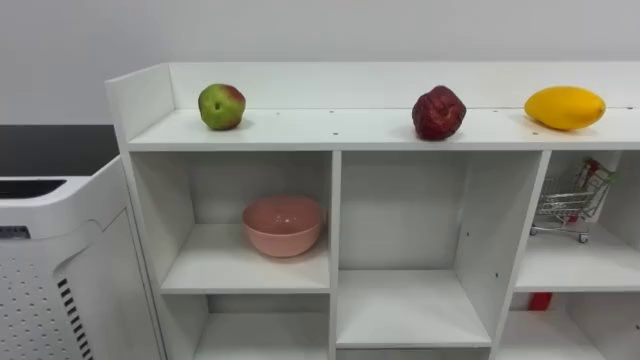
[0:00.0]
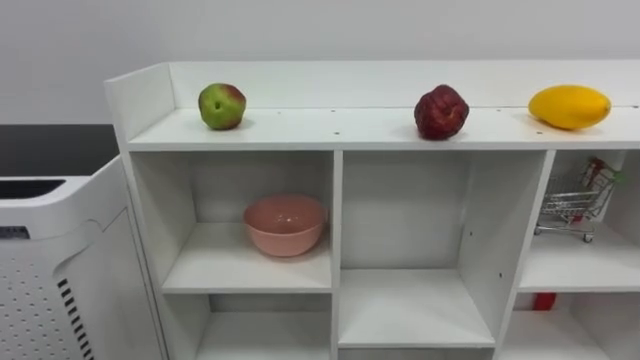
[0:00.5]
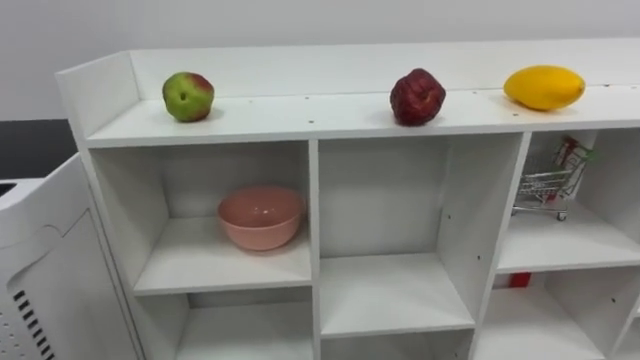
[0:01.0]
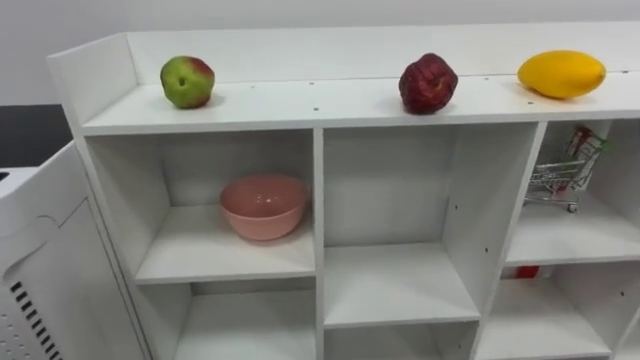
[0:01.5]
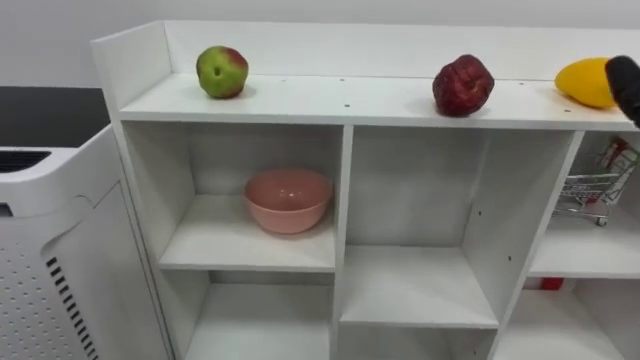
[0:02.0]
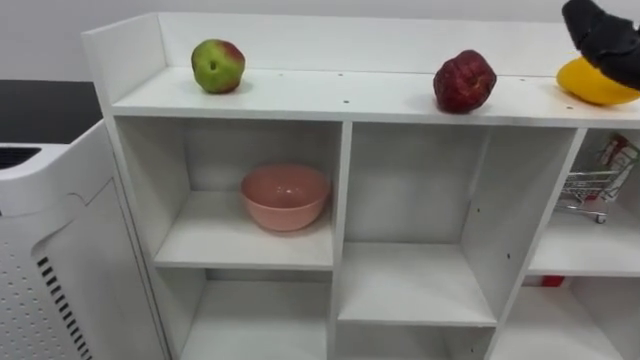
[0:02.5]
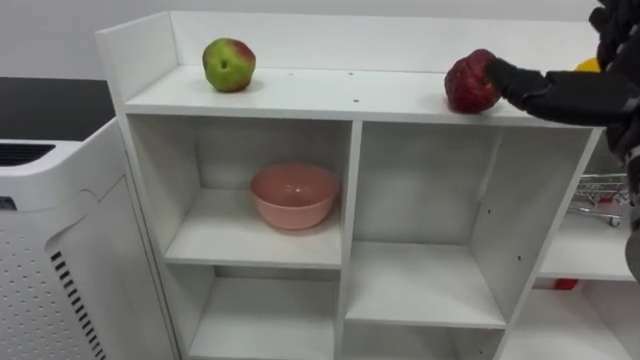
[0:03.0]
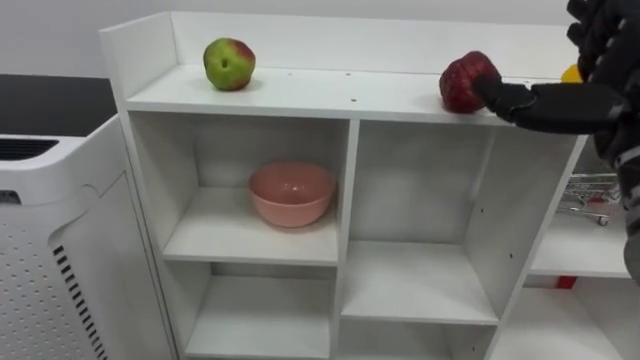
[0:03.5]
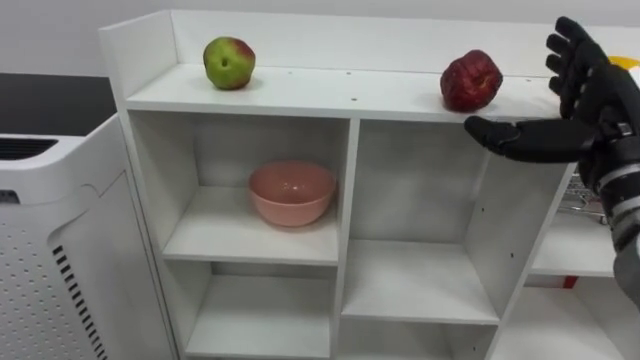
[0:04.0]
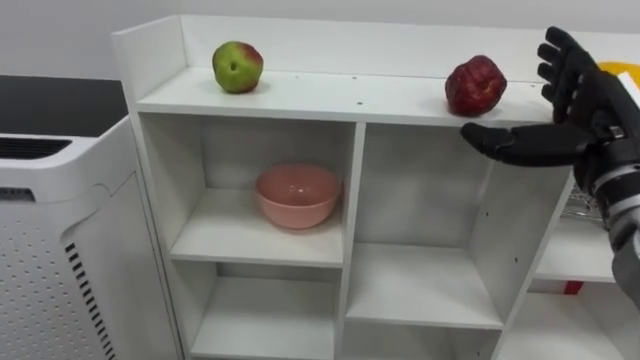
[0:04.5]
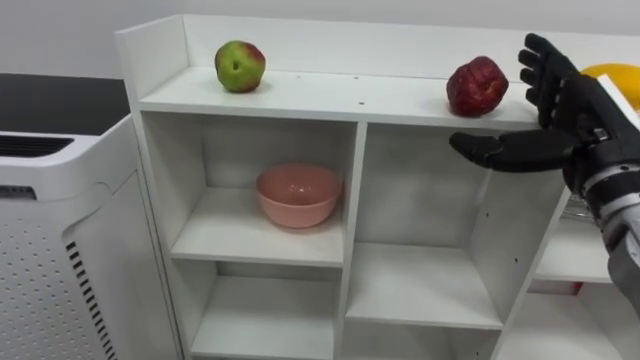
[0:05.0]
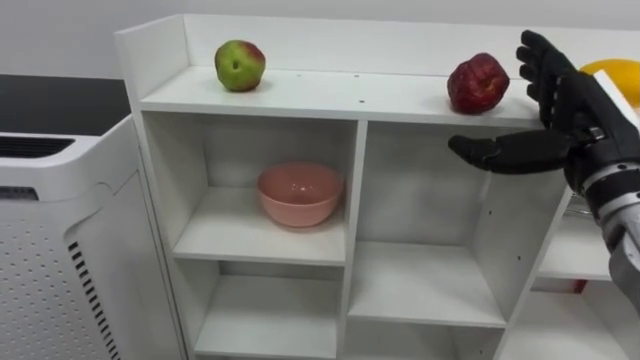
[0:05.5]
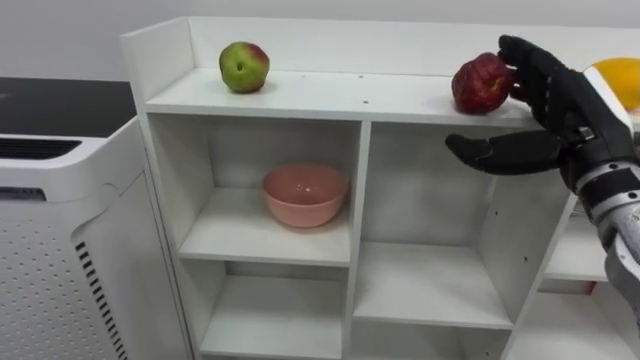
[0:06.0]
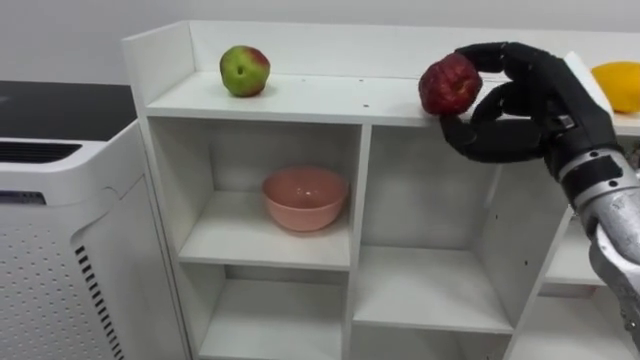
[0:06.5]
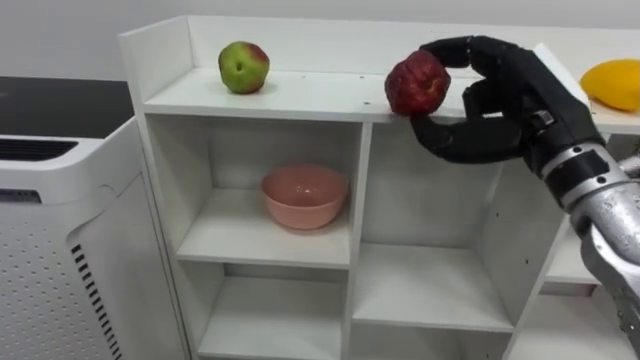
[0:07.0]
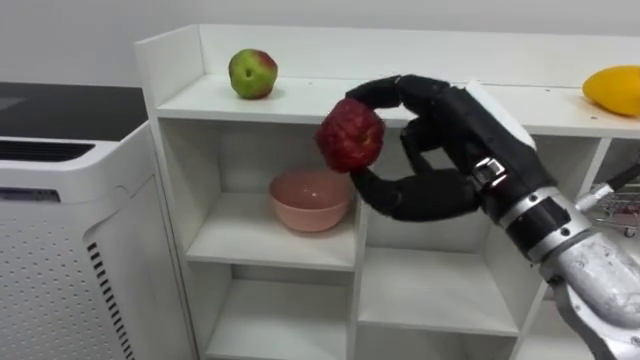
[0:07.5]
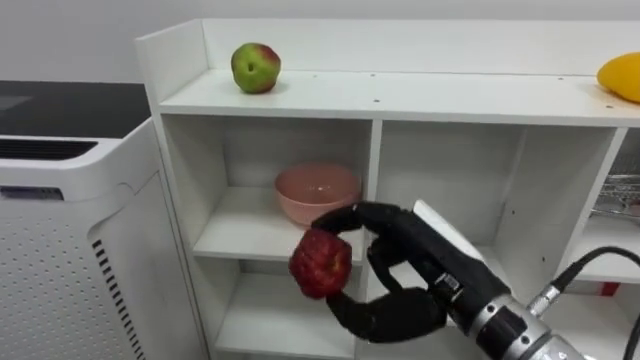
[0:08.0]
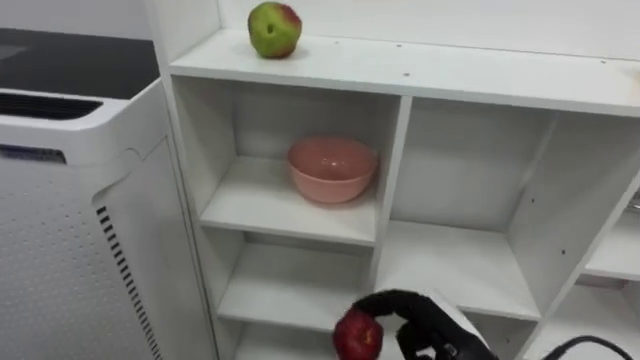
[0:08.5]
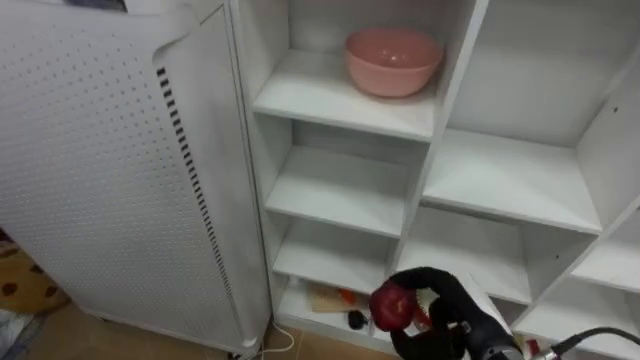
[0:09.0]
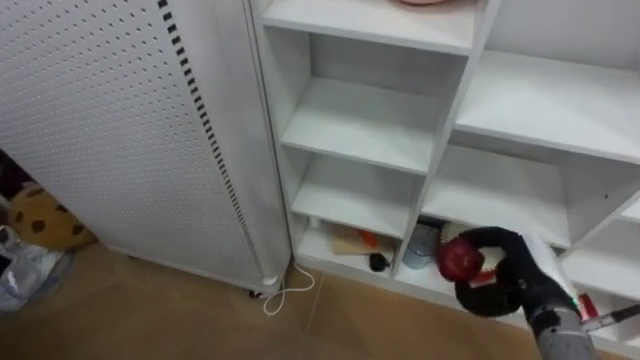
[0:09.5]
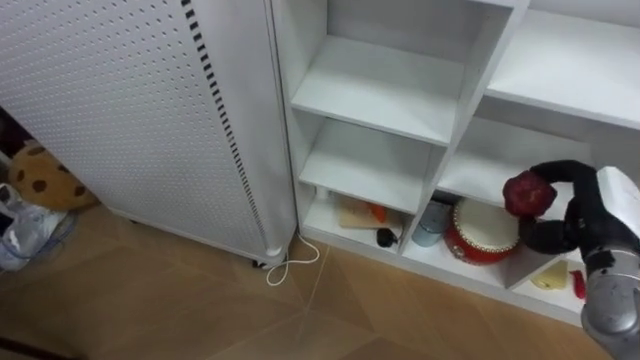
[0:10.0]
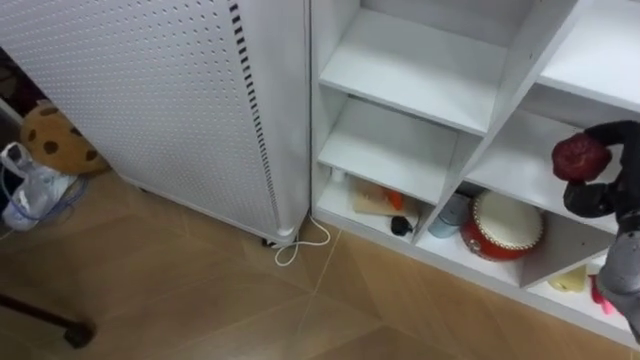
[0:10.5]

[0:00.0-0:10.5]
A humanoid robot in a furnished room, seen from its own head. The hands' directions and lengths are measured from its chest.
Task of the whole recording: Put the apple in the cell in the second column from the left and the second row from the top.
0:04.0 to 0:06.5: The right hand closes up.
0:06.5 to 0:08.5: The right hand goes approximately 25 cm downward.
0:08.5 to 0:10.5: The right hand shifts roughly 25 cm to the right, upward and forward.

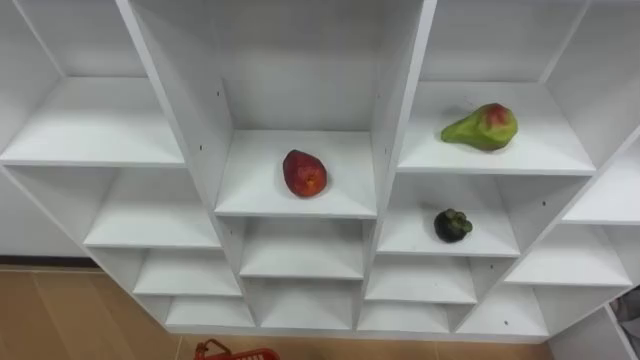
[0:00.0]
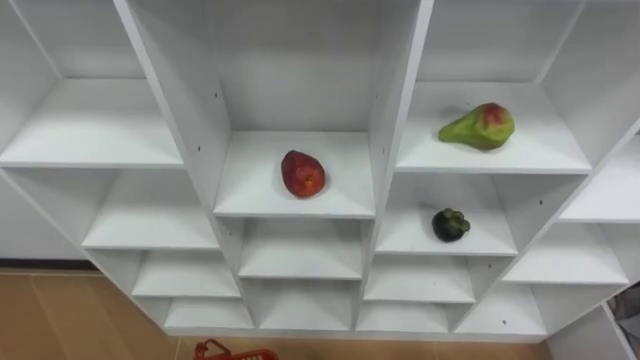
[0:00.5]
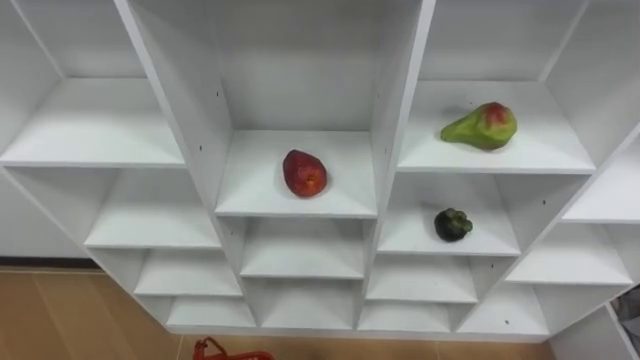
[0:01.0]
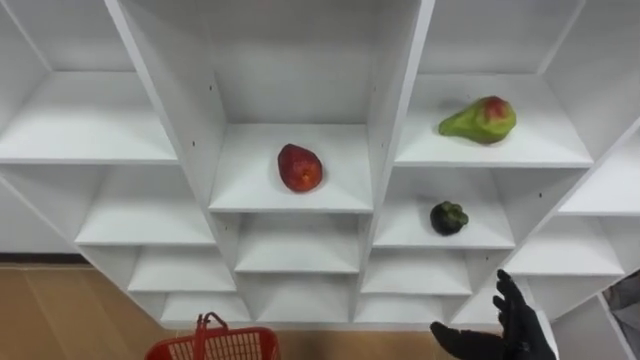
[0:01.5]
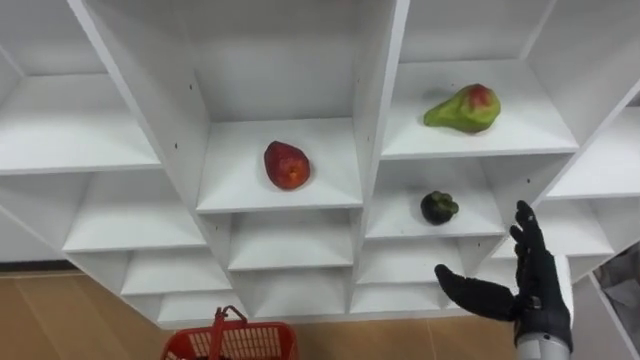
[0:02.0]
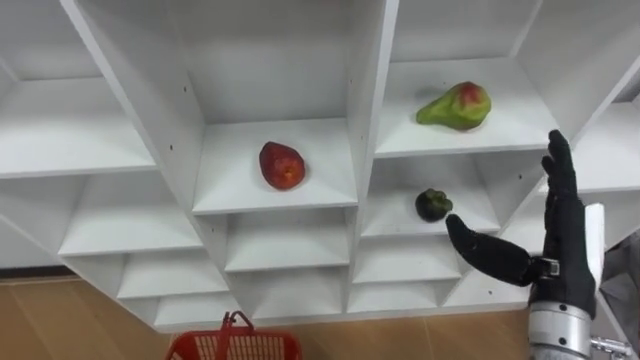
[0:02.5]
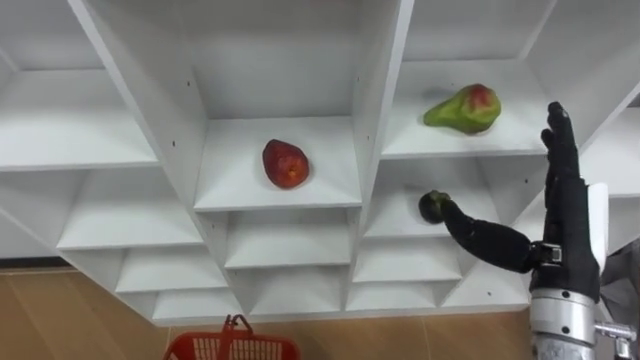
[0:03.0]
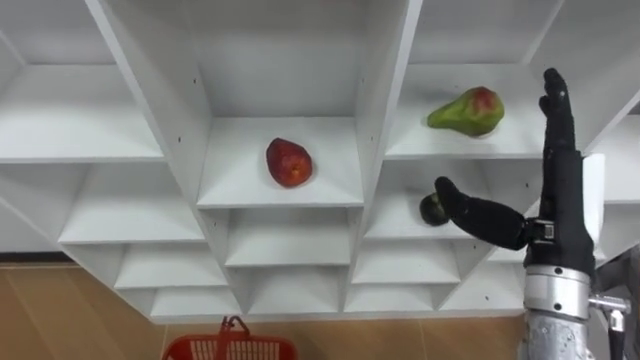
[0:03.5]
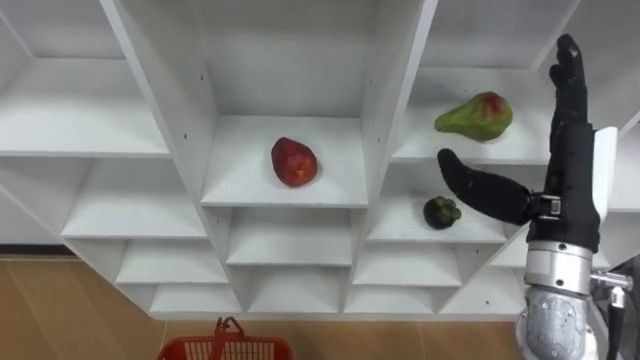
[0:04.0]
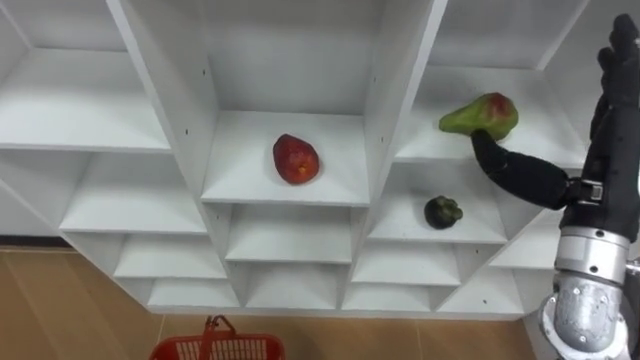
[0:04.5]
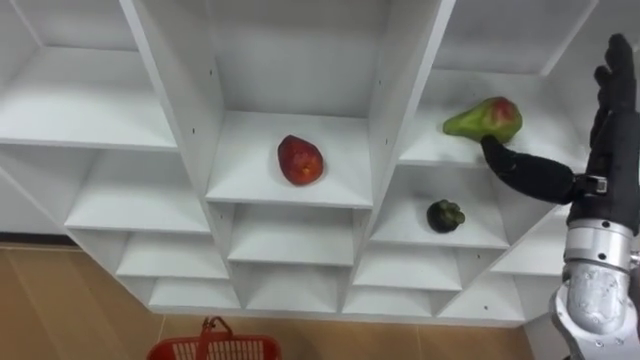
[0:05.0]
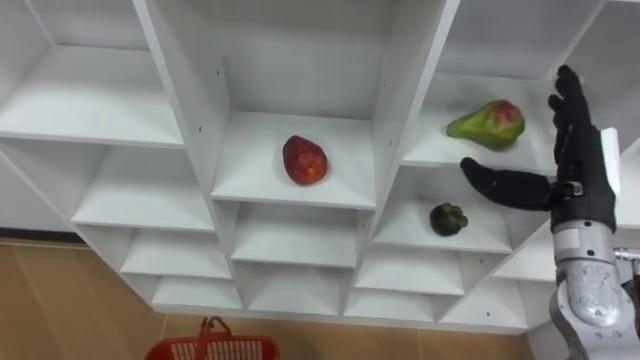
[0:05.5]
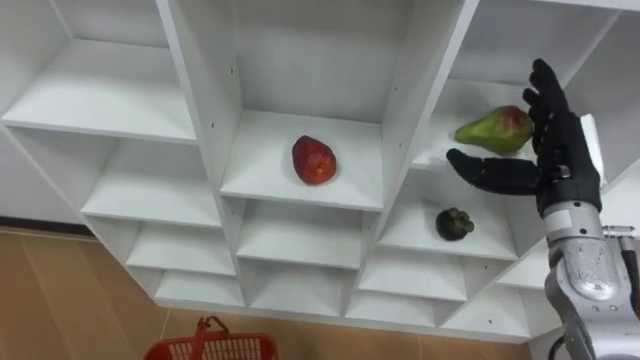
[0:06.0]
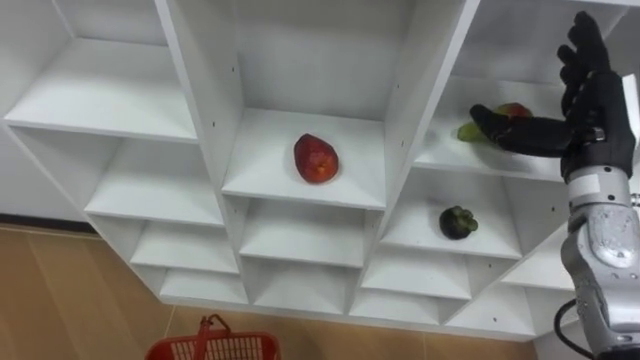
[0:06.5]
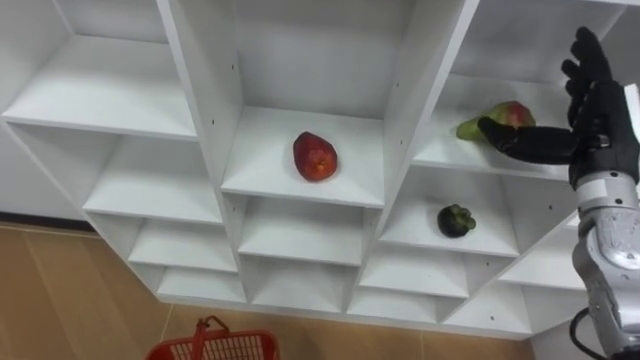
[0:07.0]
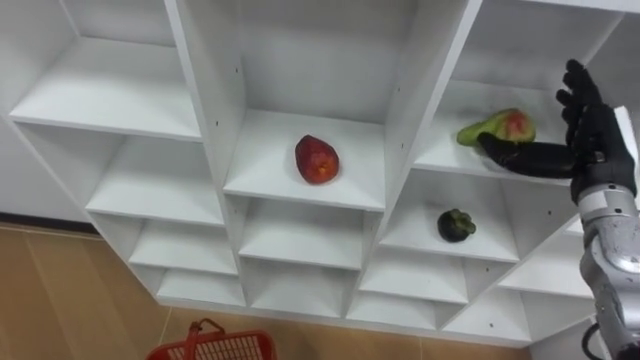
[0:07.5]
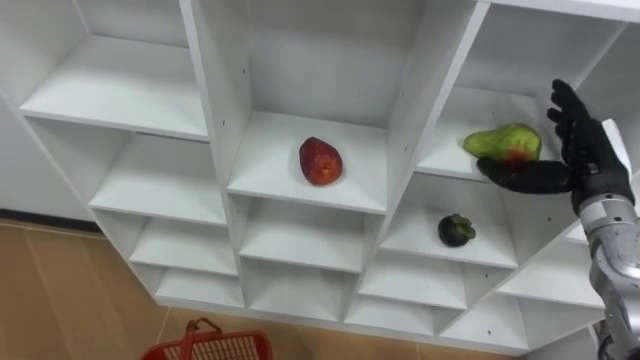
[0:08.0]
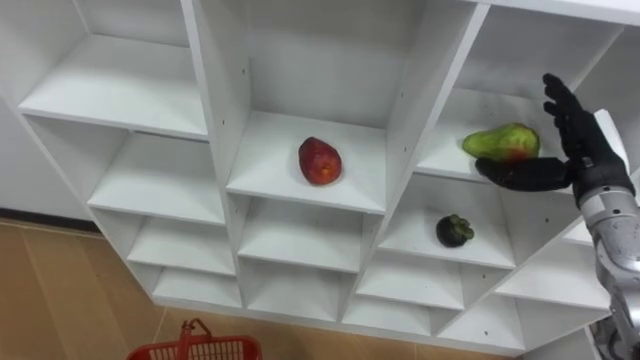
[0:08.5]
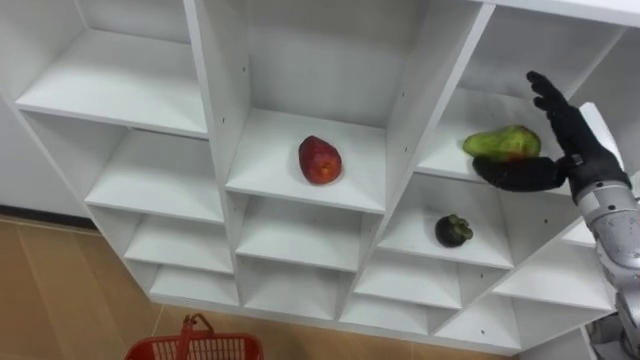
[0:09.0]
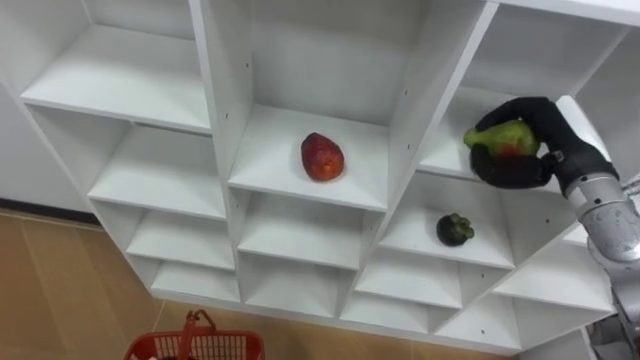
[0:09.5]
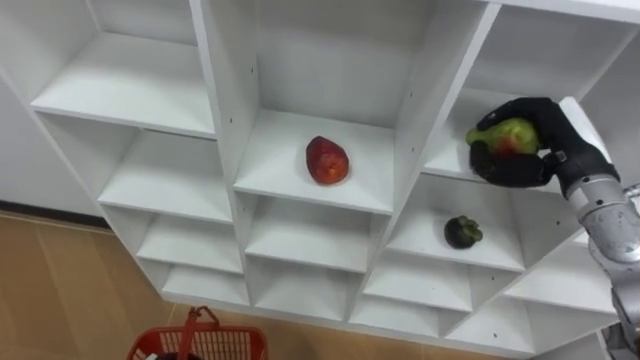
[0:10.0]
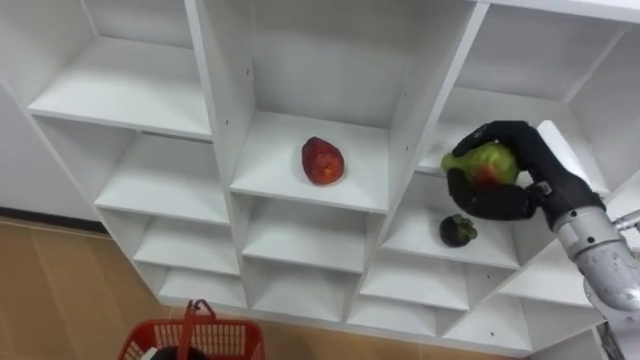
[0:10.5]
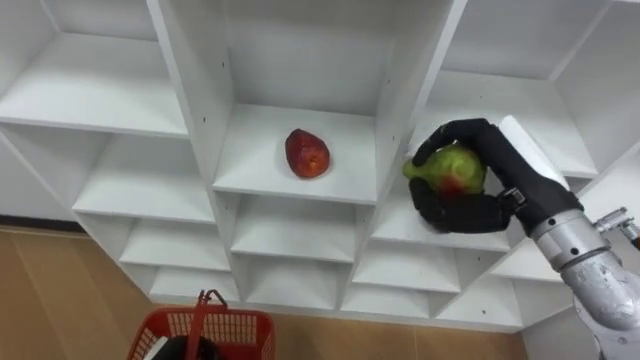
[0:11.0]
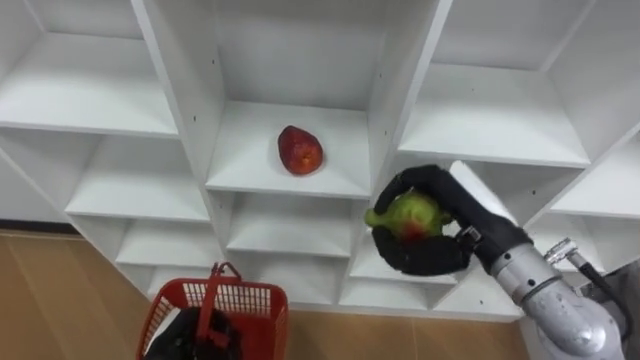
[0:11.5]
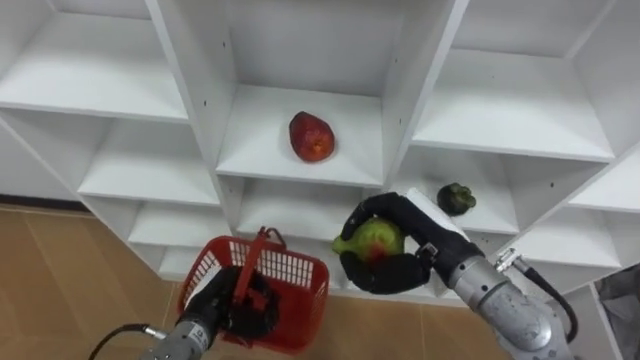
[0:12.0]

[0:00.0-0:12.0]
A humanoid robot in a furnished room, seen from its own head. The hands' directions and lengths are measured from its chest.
Task of the whole recording: Hold the basket and collect the fruits from 3 different cells of the closet into it.
0:02.0 to 0:04.0: The right hand is displaced upward by approximately 15 cm.
0:04.0 to 0:06.0: The right hand travels forward by about 5 cm.
0:06.0 to 0:08.0: The right hand moves approximately 5 cm.
0:08.0 to 0:10.0: The right hand closes its fingers.
0:10.0 to 0:12.0: The right hand is displaced to the left and backward by roughly 20 cm.
